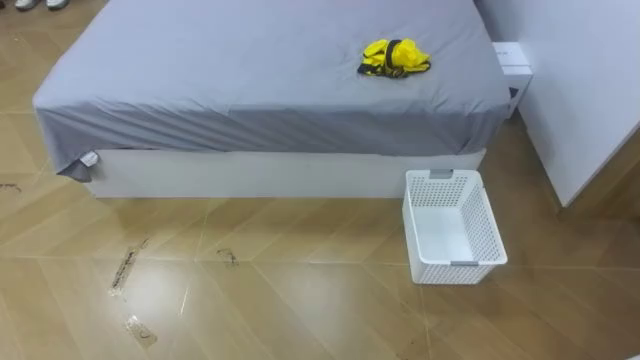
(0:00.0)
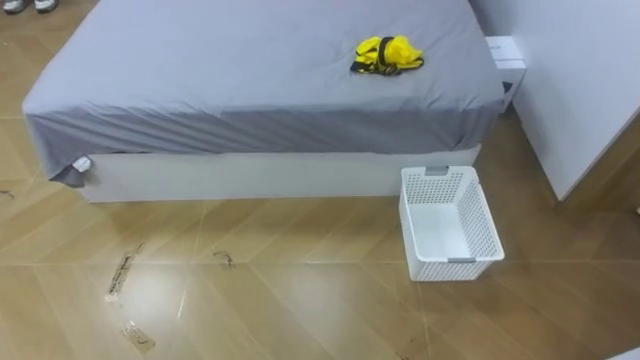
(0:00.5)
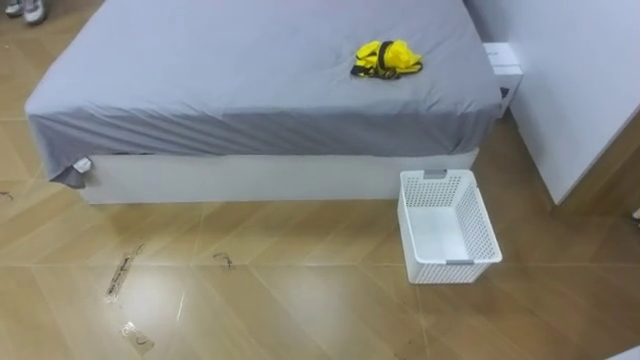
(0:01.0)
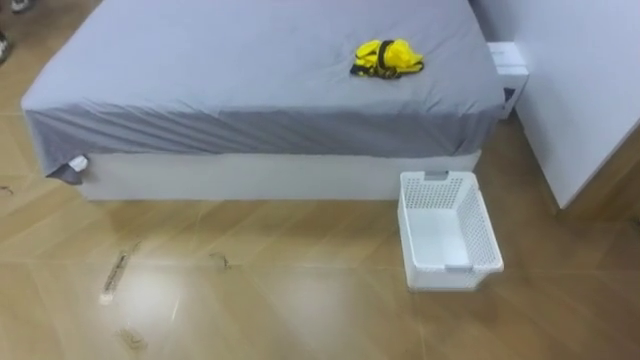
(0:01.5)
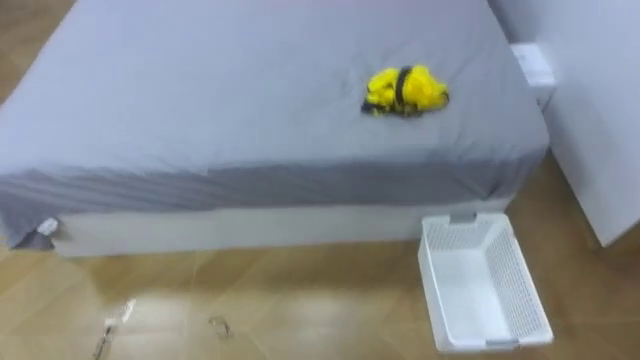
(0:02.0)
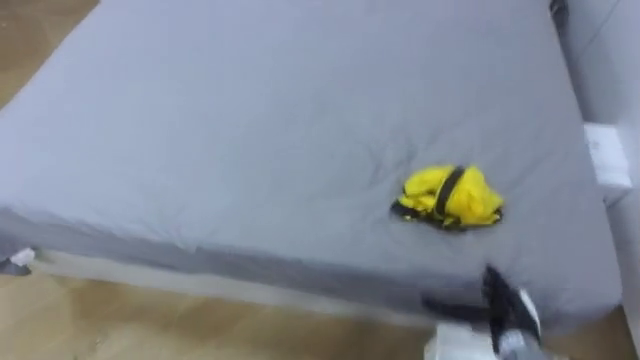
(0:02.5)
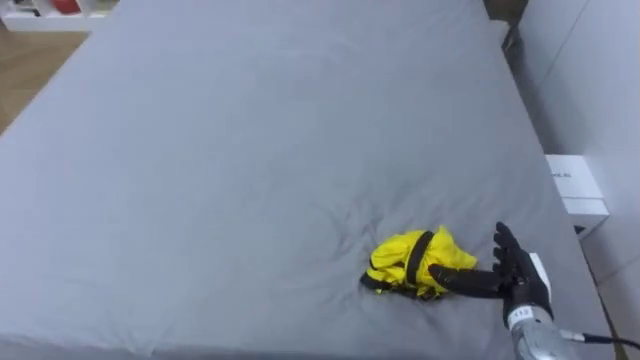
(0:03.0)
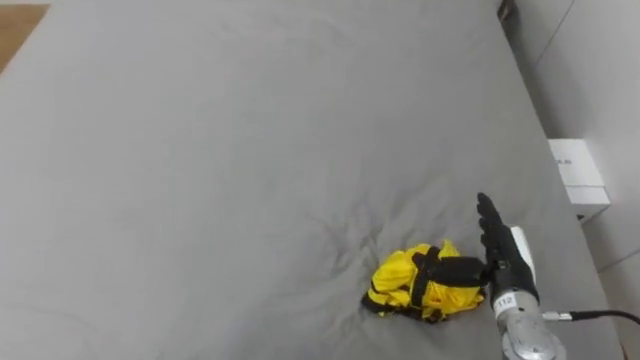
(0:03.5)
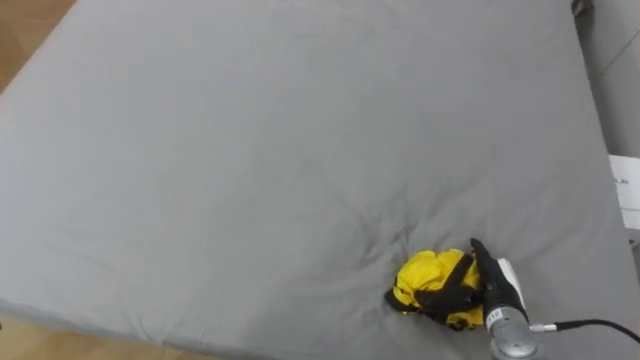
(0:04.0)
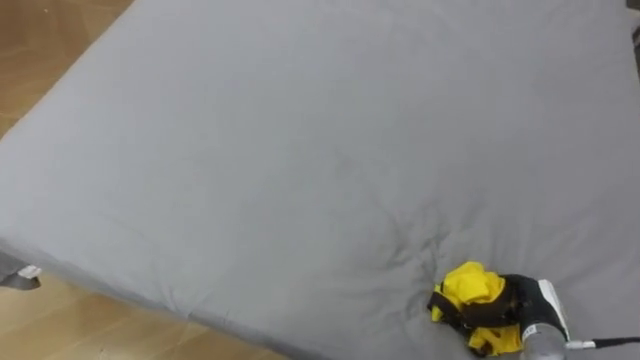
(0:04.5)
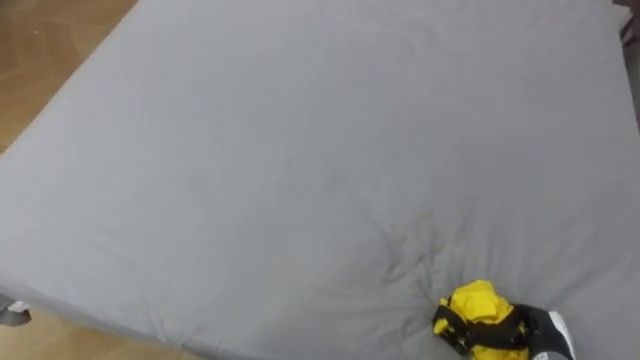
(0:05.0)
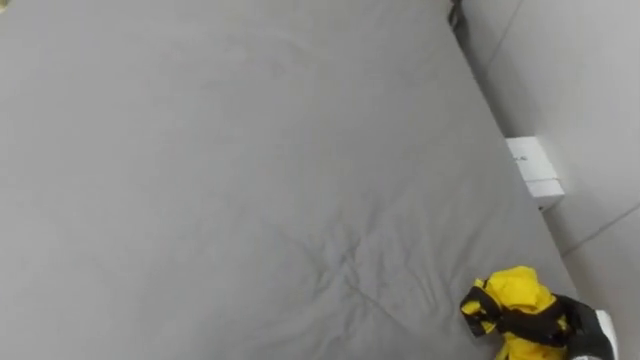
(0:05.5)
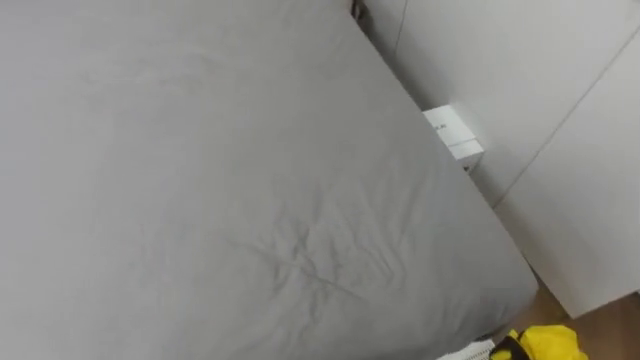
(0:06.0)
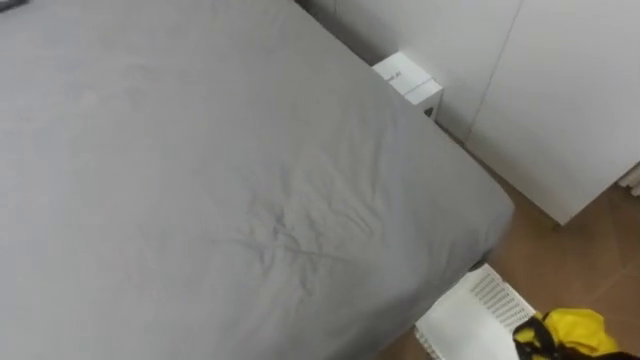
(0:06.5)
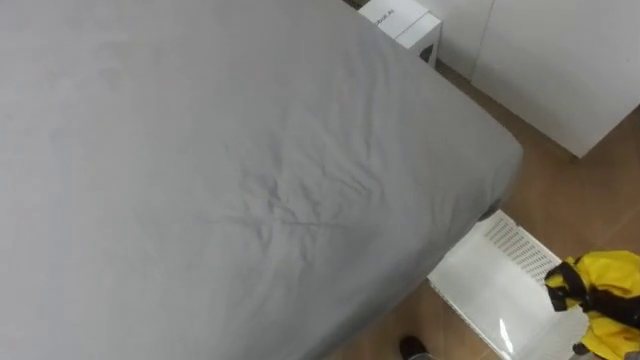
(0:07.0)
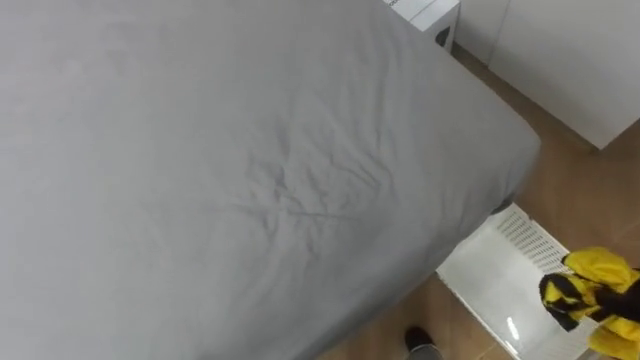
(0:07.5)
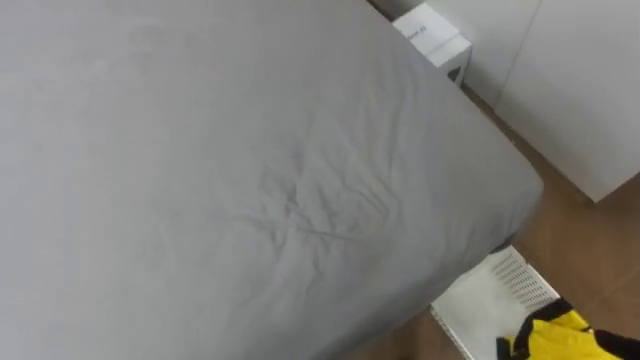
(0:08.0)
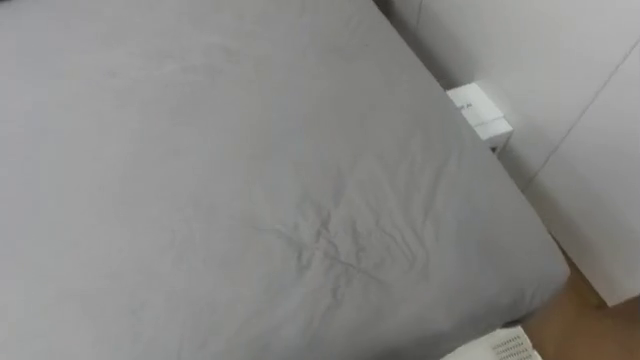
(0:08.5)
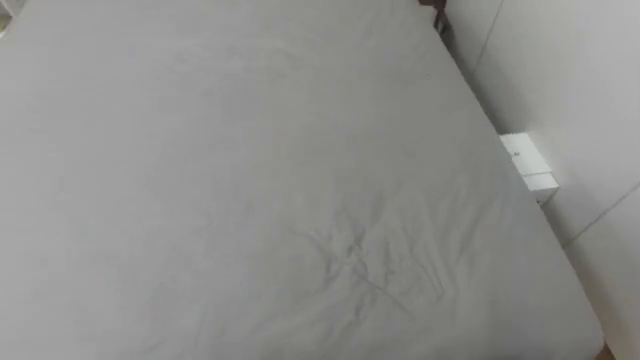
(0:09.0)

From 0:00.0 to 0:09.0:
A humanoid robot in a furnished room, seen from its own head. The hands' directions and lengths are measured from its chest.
Task of the whole recording: Pick up the yellow clothes on the bed and place them into the white basket on the right.
From 0:07.0 to 0:09.0: The robot faces about 20 degrees further to its left.

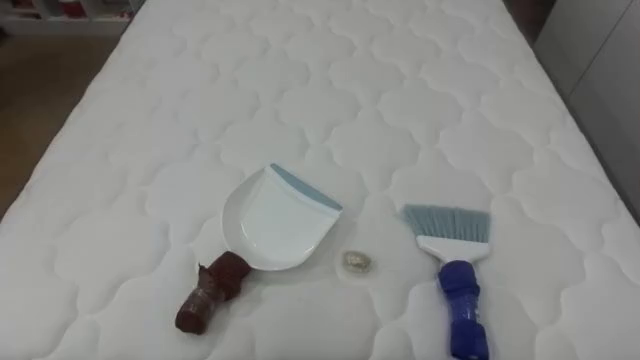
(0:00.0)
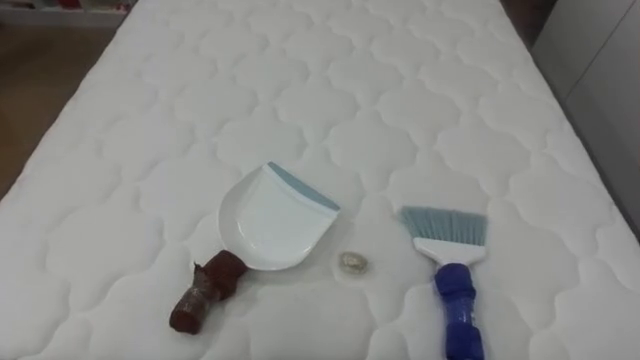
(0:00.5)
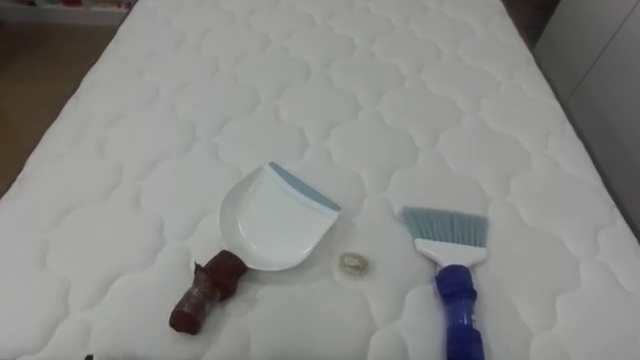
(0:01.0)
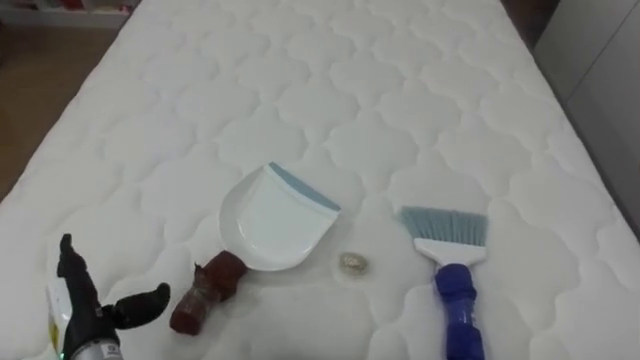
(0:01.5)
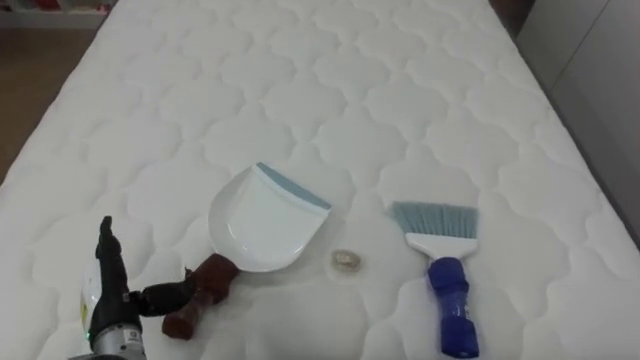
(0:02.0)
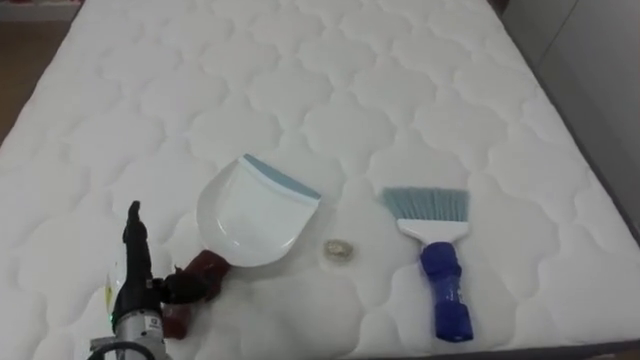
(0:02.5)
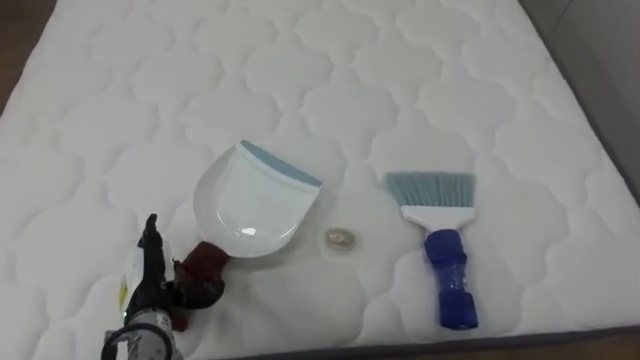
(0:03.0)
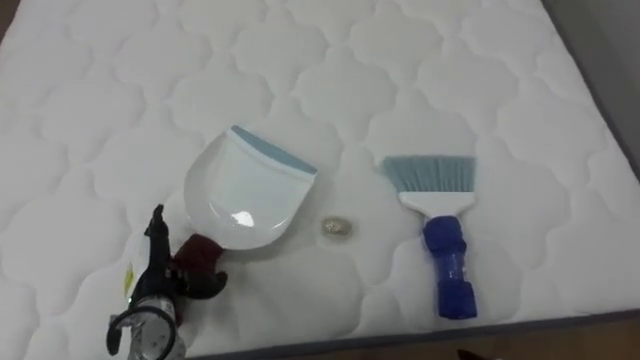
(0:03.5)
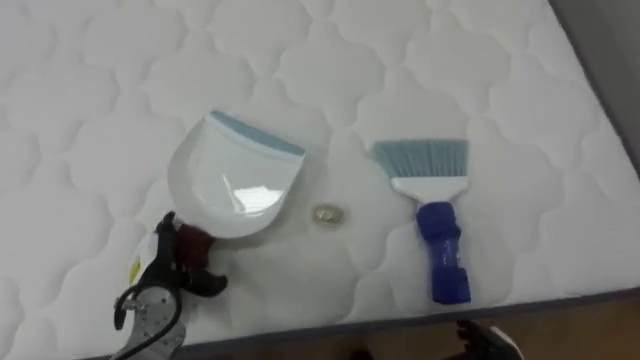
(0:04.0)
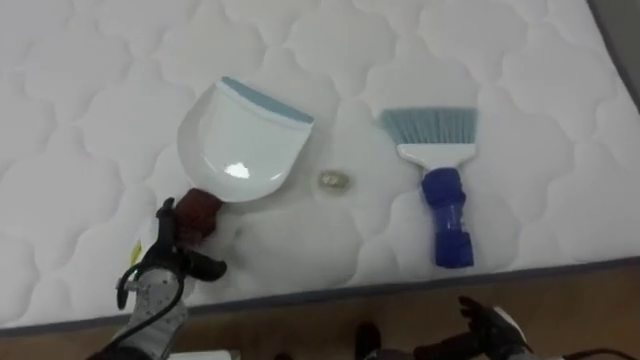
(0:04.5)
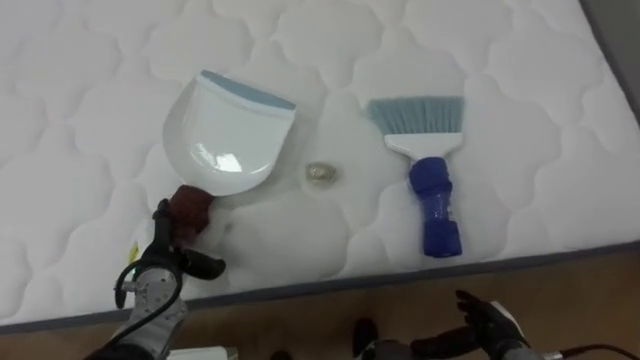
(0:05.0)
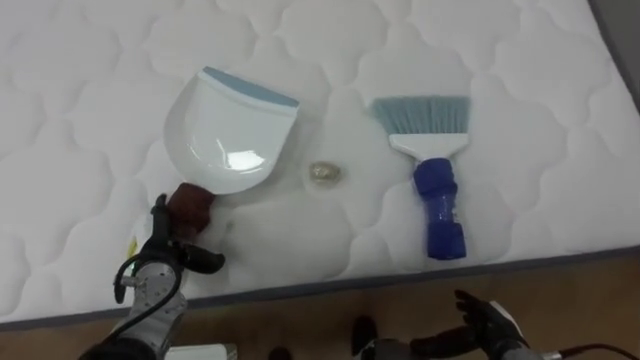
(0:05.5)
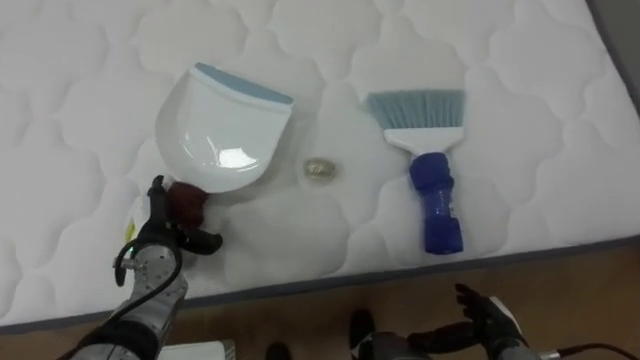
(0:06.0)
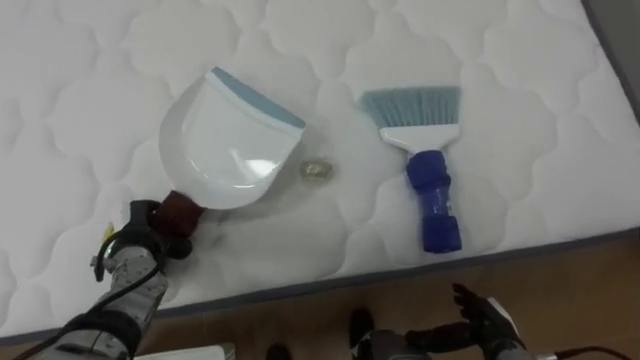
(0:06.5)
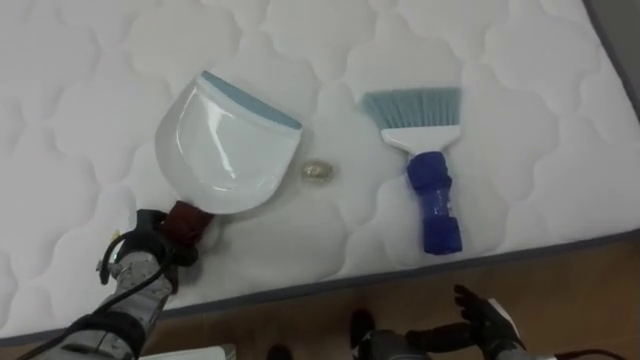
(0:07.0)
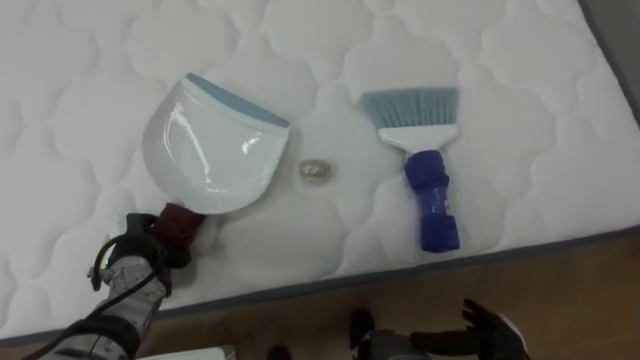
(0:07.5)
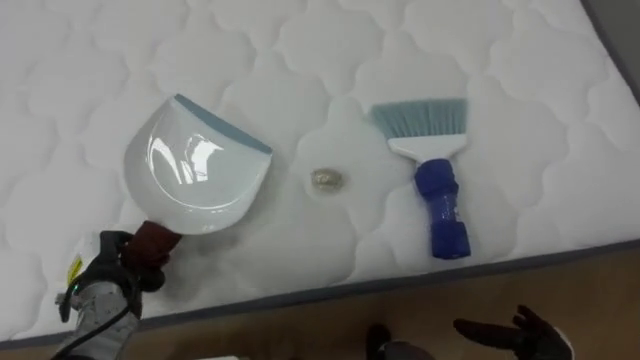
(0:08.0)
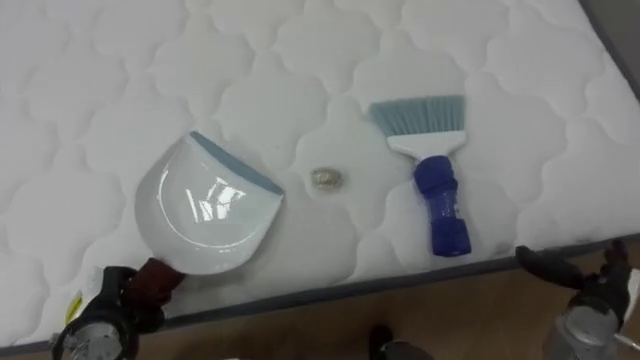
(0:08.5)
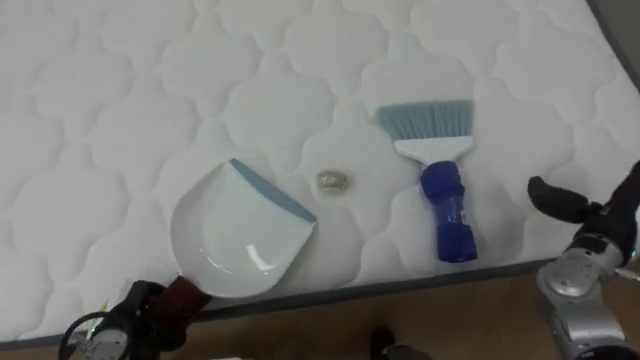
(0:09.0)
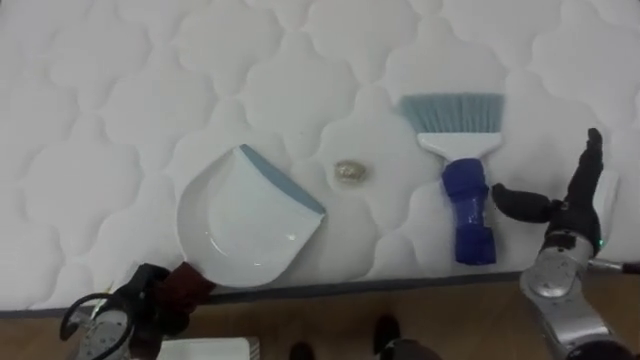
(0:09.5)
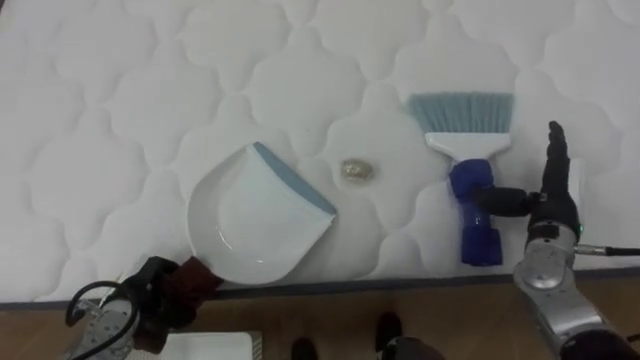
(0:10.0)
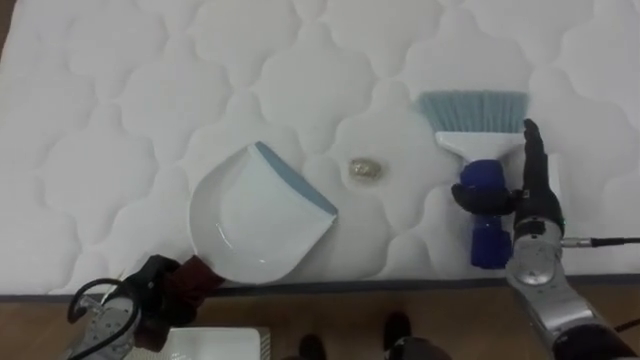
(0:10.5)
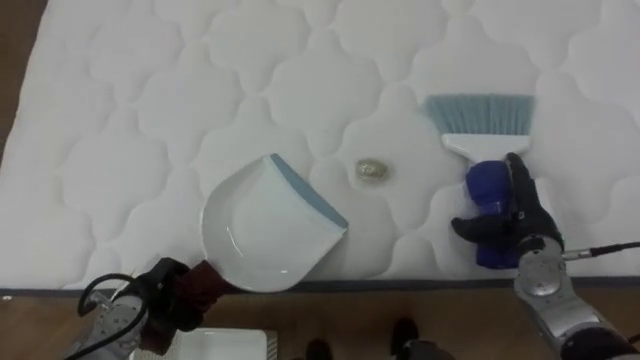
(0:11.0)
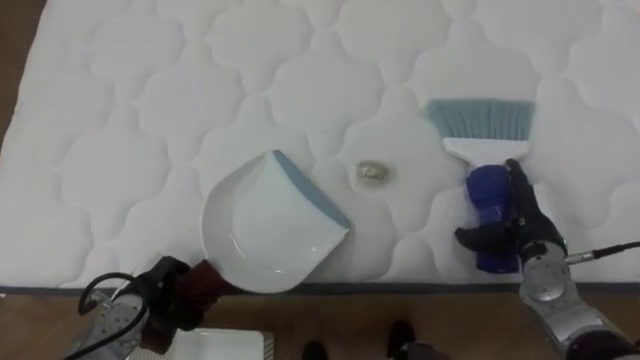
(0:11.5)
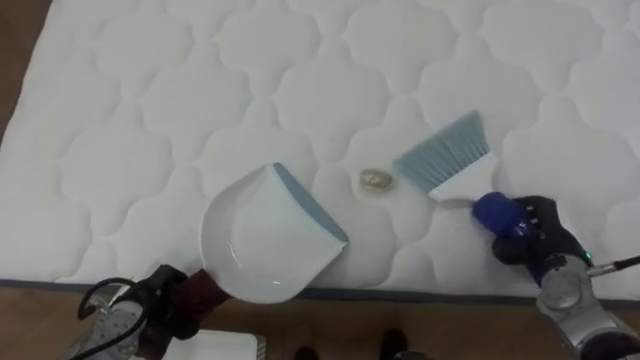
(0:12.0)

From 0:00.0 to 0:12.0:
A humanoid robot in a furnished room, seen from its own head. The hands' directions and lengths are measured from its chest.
Task of the whole recording: Pick up the brush on your right and the dustpan on your left. Use the brush to sweep the crumpled paper on the bed into the dustpan, then turn left and empty it into the basket.
From 0:02.0 to 0:04.0: The left hand moves forward, roughly 5 cm.
From 0:04.0 to 0:06.0: The left hand shifts approximately 5 cm forward.
From 0:06.0 to 0:08.0: The left hand goes approximately 5 cm to the left, and closes up.
From 0:08.0 to 0:10.0: The left hand shifts by approximately 5 cm. The right hand travels upward and forward by about 25 cm.
From 0:10.0 to 0:12.0: The right hand is displaced downward by about 5 cm, and closes.
